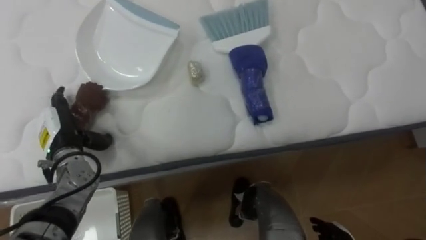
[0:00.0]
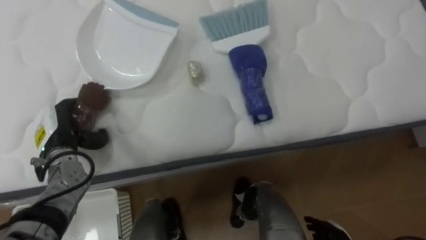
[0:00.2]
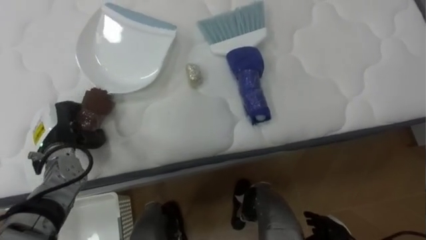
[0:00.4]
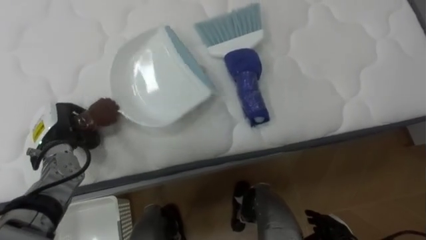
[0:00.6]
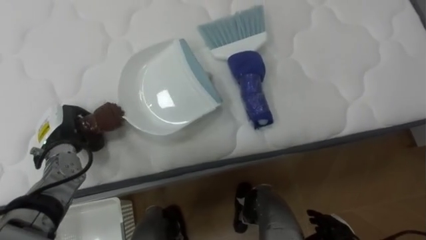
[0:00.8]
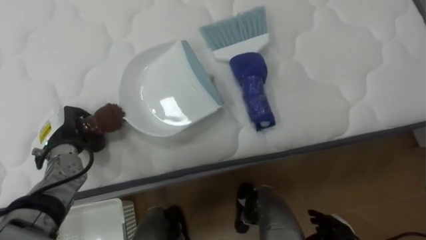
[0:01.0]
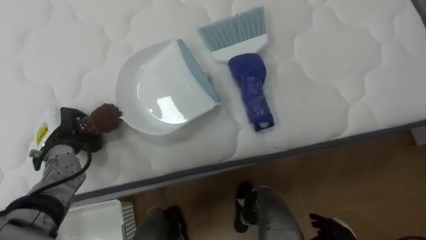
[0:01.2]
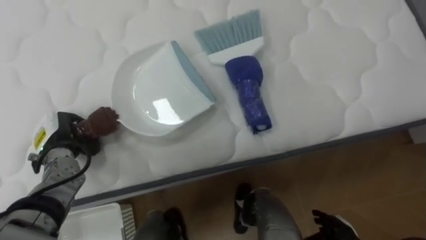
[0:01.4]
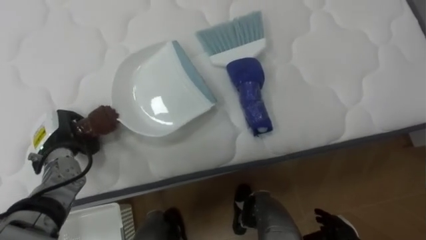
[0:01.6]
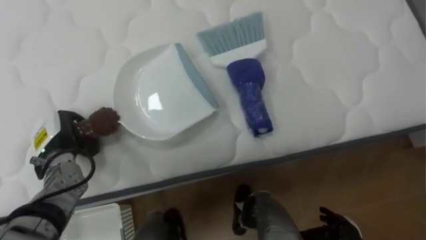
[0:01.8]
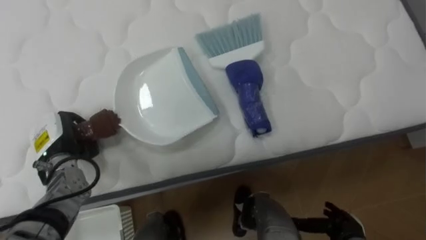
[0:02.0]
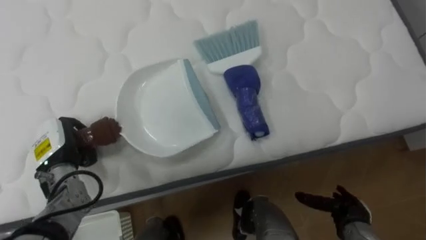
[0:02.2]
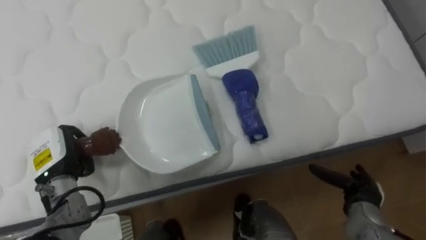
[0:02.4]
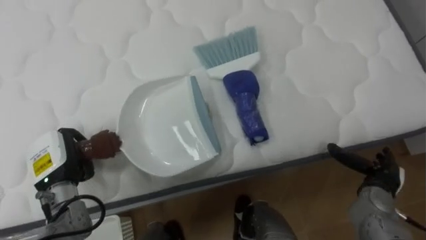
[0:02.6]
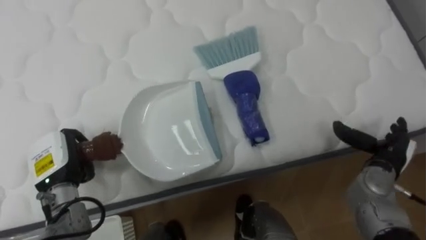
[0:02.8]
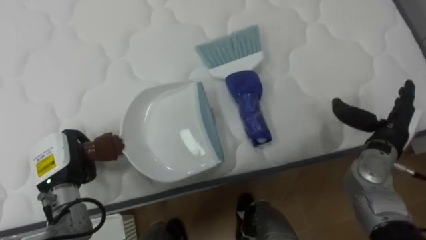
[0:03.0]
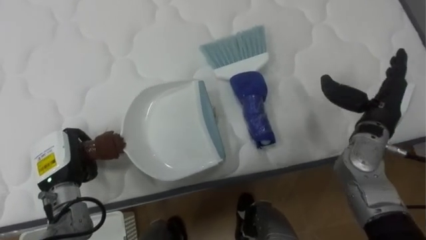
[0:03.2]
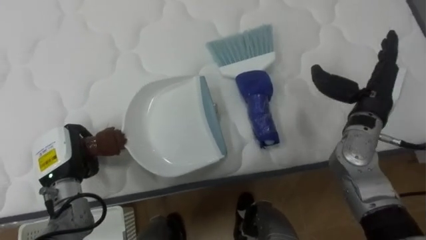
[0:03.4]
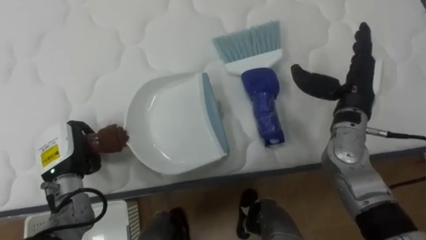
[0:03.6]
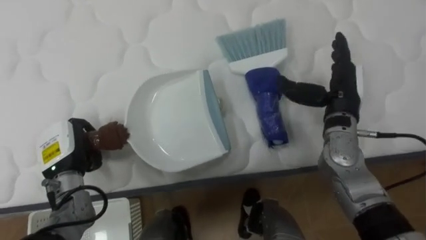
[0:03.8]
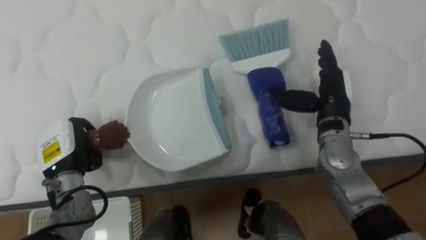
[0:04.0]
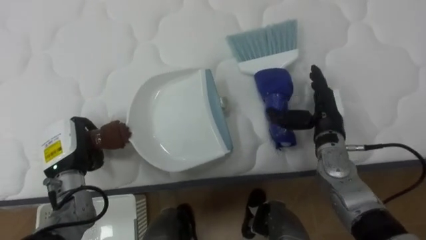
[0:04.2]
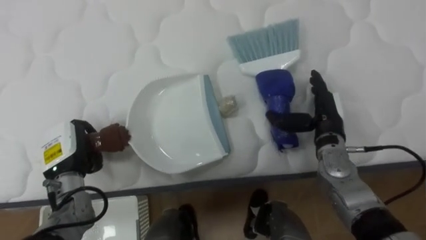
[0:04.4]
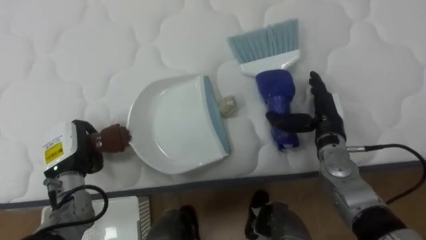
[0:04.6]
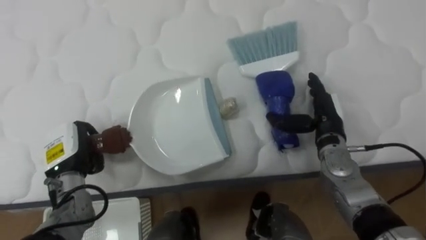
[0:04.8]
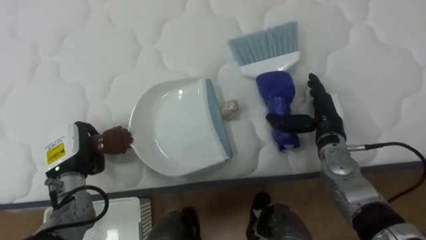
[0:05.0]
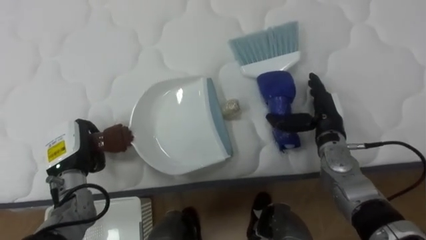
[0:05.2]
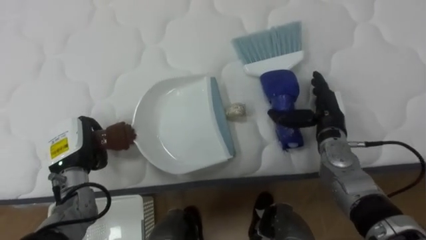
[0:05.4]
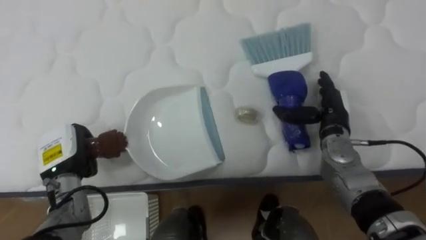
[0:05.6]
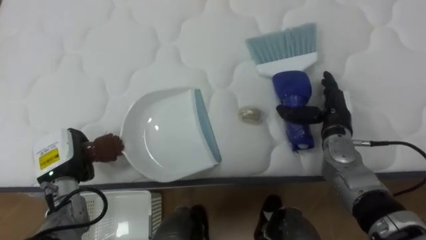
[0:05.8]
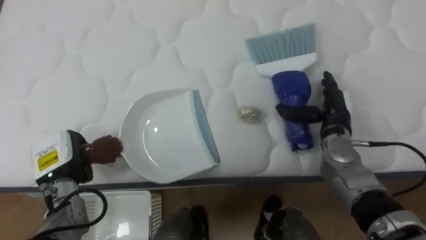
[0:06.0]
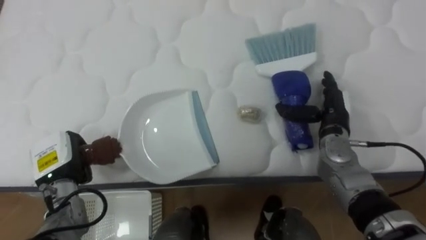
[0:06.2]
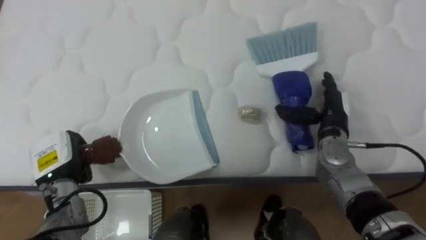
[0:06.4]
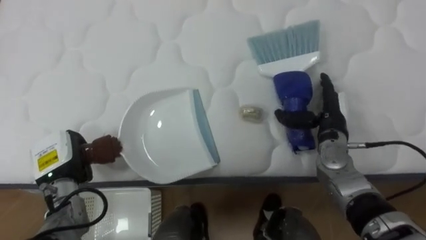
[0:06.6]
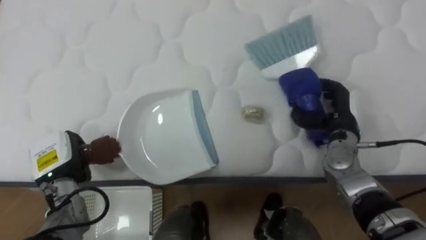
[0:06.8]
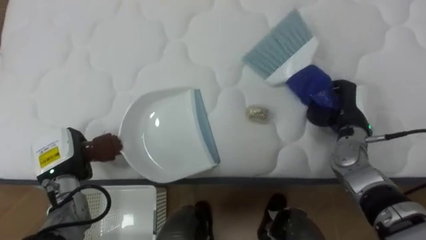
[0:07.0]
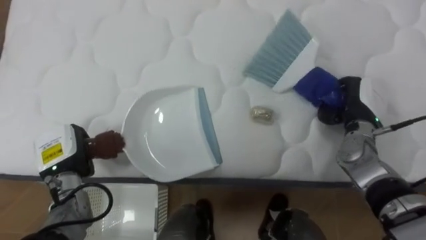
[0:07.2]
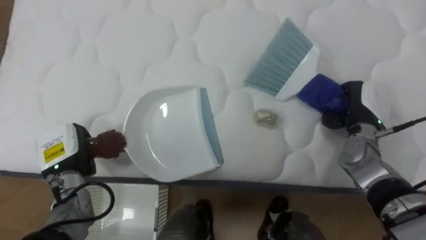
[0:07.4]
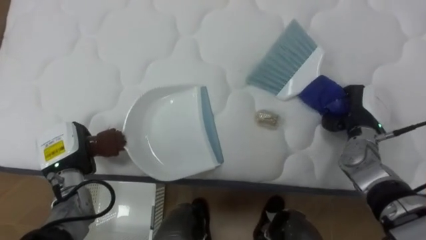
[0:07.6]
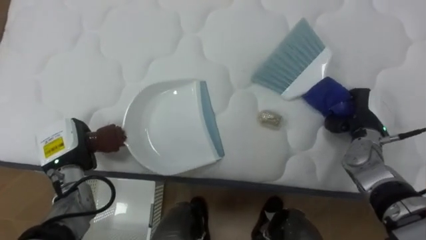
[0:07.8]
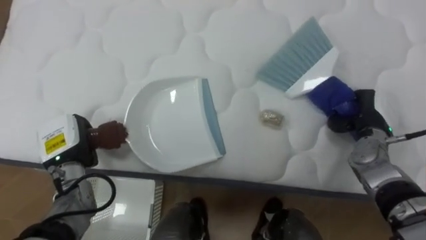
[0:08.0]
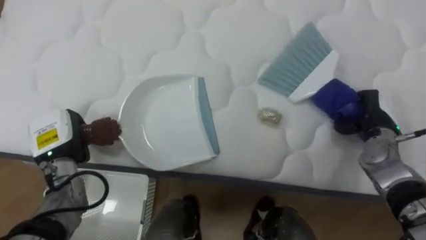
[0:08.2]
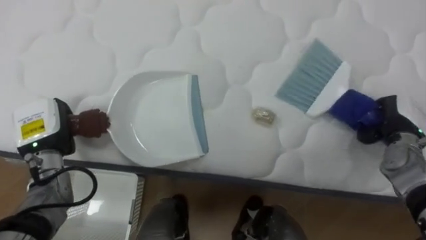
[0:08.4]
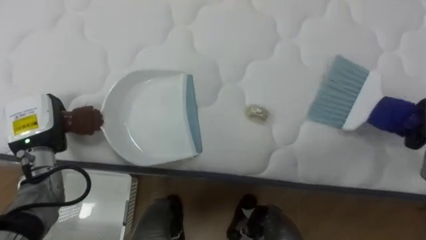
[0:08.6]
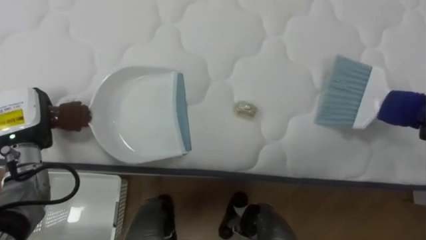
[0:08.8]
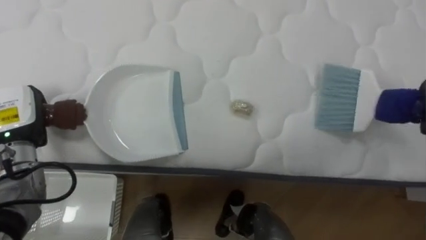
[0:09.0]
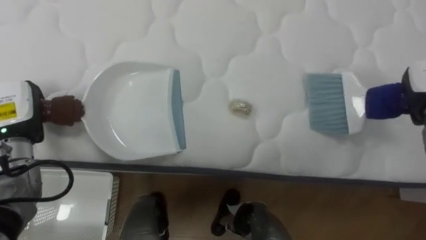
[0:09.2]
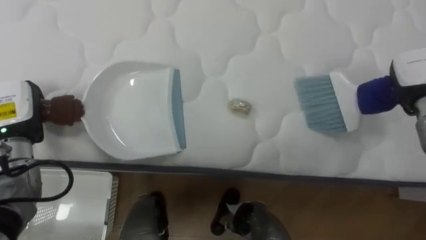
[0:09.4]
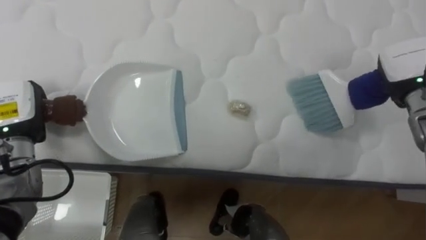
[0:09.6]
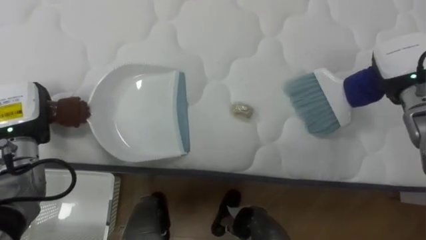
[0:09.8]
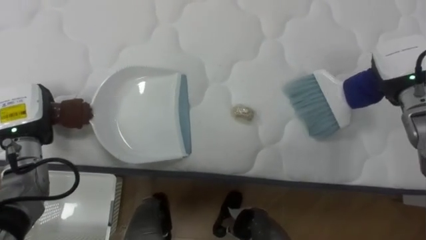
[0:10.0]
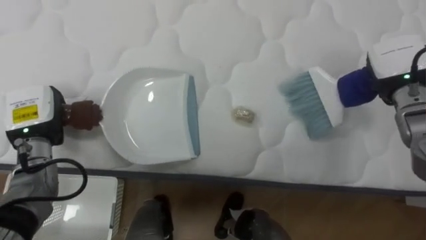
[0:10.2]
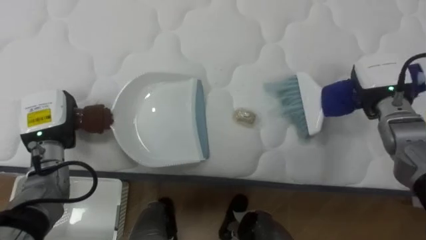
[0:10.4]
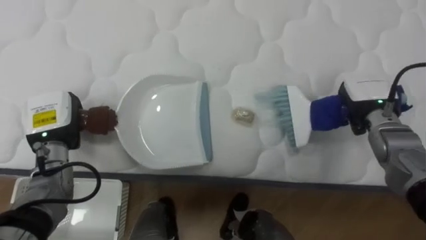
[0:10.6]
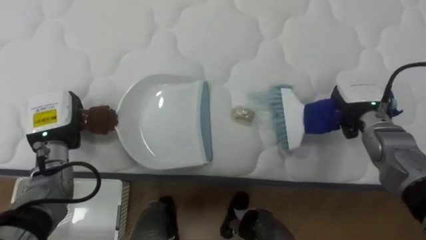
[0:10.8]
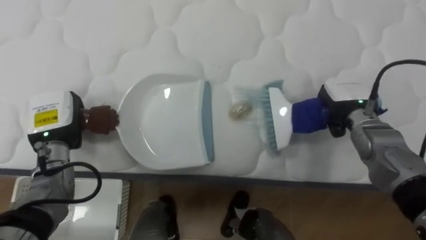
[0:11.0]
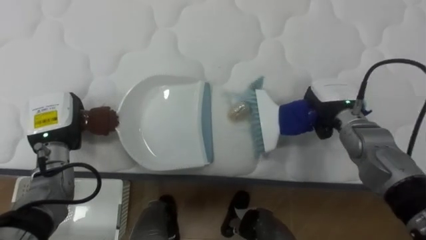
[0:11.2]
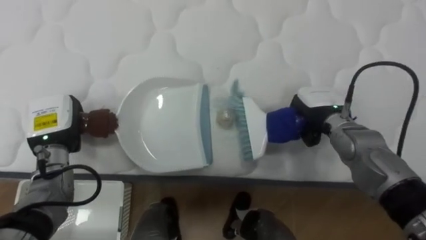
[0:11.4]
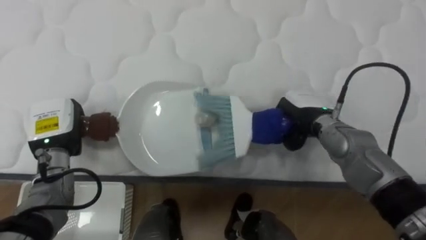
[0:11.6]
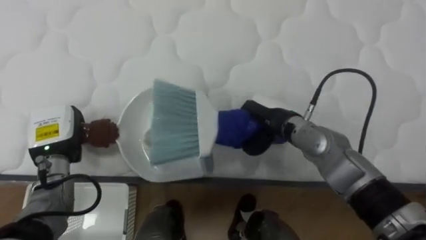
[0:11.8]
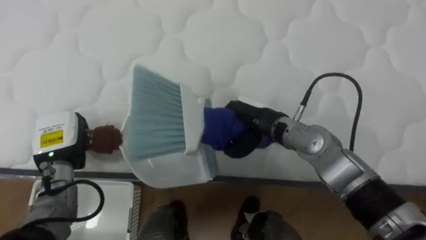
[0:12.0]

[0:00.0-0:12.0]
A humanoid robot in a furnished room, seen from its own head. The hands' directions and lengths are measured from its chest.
Task of the whole recording: Pick up the brush on your right and the dustpan on your left. Use the brush to sweep the crumpled paper on the bed into the dustpan, then turn left and empty it into the basket.
0:00.0 to 0:01.6: The left hand closes its fingers.
0:01.6 to 0:03.0: The left hand goes roughly 5 cm backward.
0:03.0 to 0:04.4: The right hand is displaced to the left by some 10 cm.
0:06.0 to 0:07.6: The right hand goes some 5 cm to the right, and closes.
0:07.6 to 0:09.0: The left hand shifts roughly 10 cm upward and to the left.
0:10.4 to 0:12.0: The right hand travels to the left by approximately 25 cm.

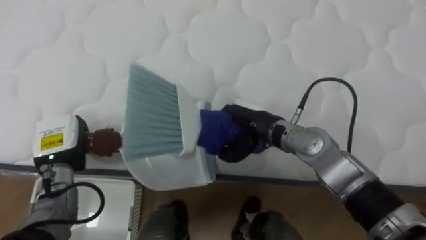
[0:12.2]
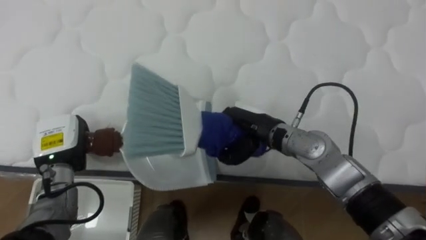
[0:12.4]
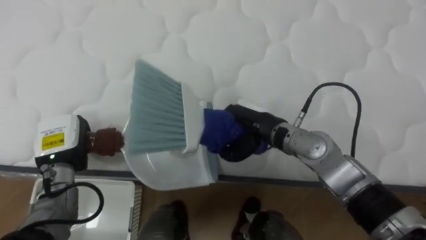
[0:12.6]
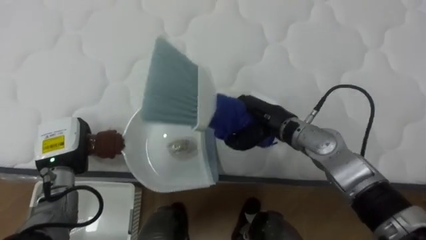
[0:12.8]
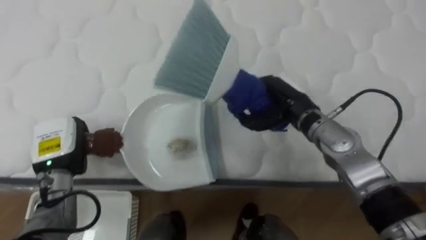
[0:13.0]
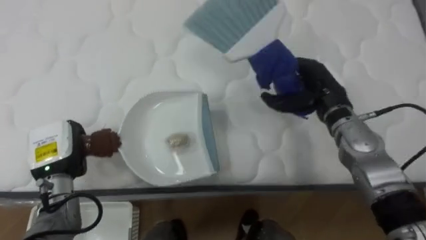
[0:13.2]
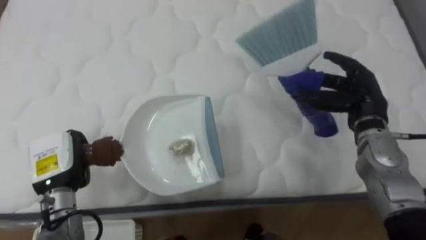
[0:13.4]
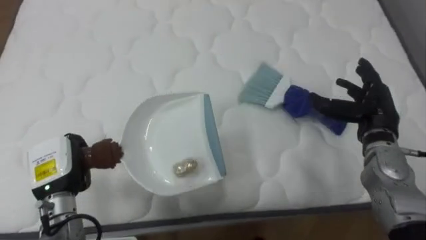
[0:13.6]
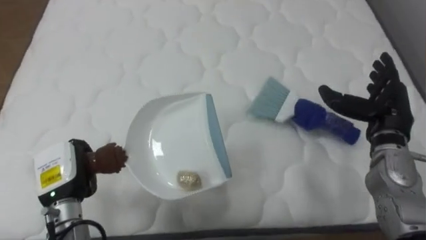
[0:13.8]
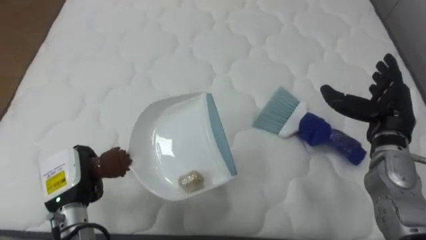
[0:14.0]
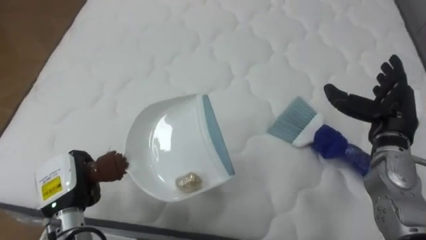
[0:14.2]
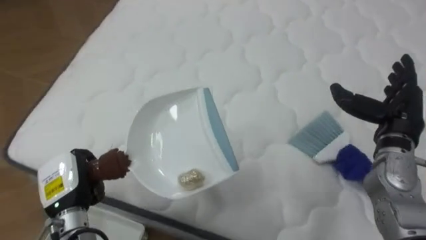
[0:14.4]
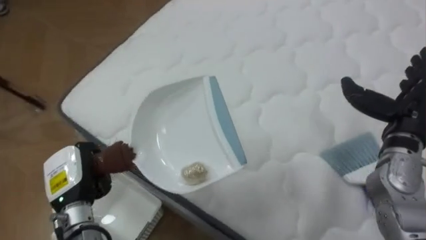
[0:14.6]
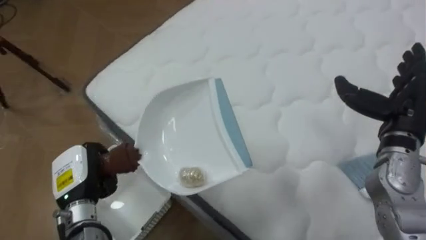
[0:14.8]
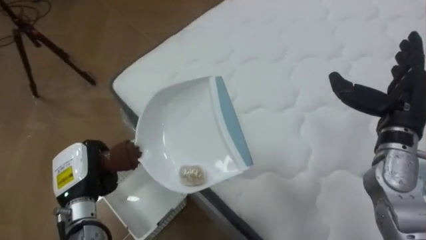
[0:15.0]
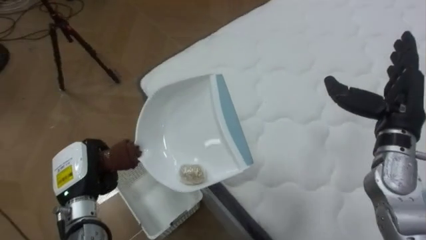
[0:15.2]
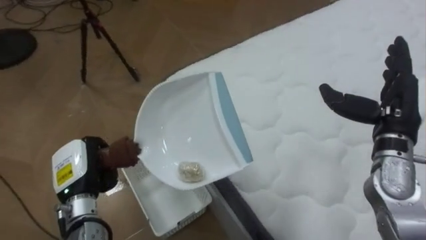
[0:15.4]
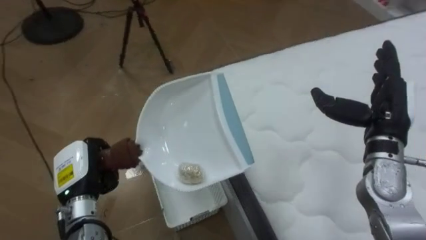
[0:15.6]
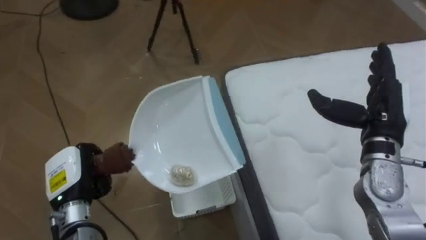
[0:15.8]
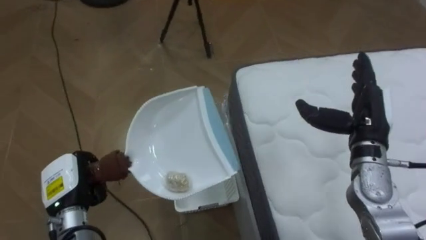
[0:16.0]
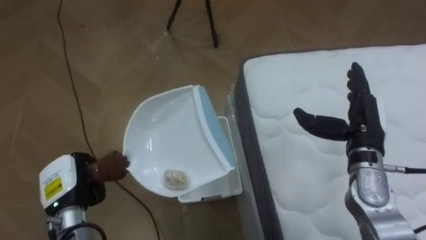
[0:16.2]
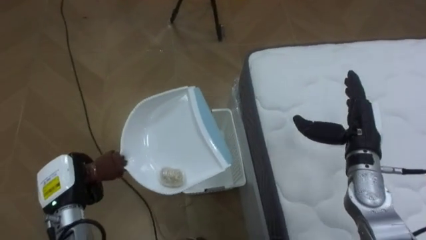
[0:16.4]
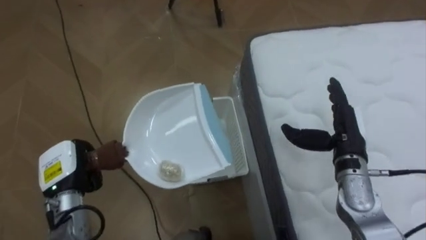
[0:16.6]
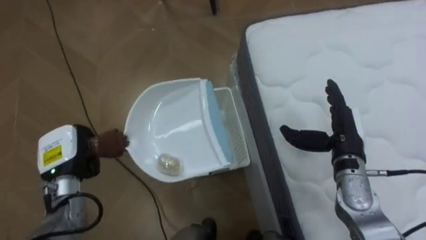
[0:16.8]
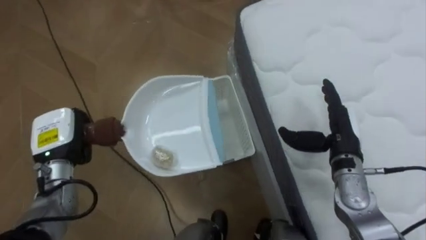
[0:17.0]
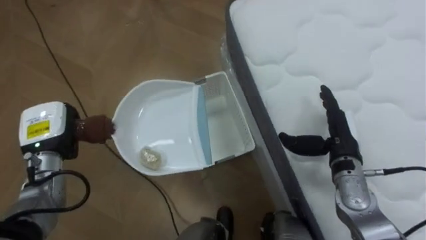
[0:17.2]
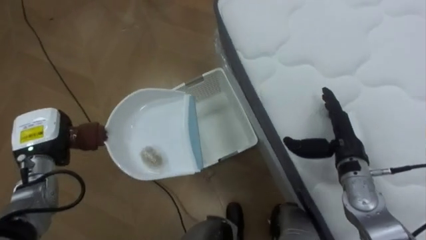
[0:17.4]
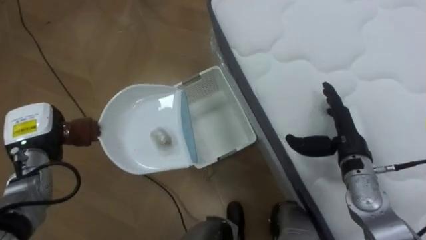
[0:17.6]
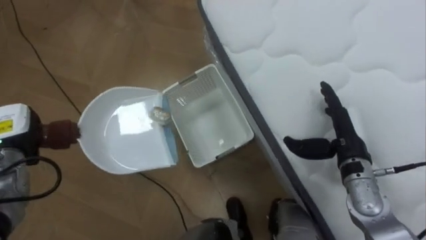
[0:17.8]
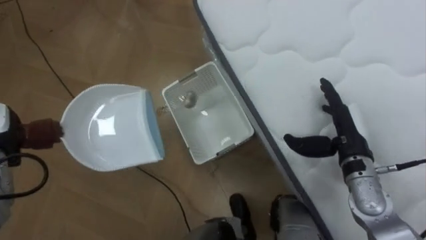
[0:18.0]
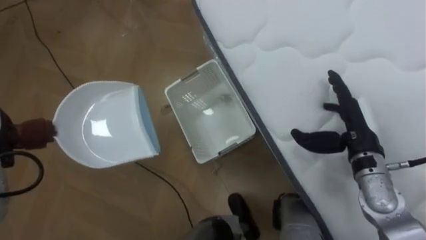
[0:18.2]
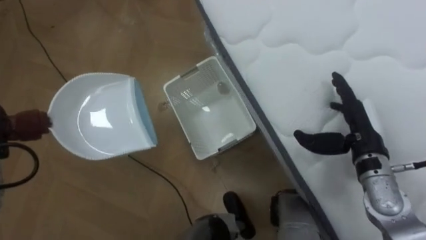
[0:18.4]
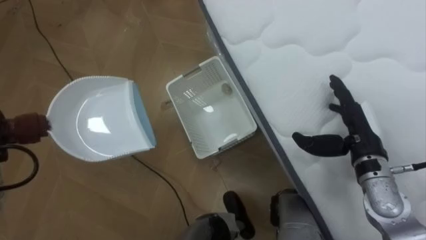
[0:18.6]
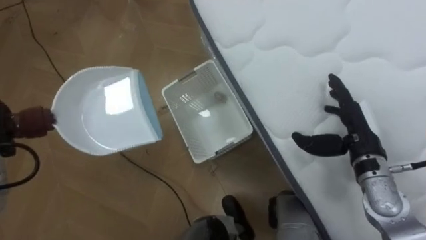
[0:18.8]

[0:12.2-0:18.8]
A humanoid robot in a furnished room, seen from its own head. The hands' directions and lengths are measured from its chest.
Task of the whole recording: Pick up the brush on your right and the dustpan on your left. Use the brush to sweep the crumpled paper on the bed into the dustpan, then turn left and empty it into the basket.
0:12.2 to 0:13.8: The left hand travels backward by roughly 5 cm. Meanwhile the right hand moves to the right, approximately 25 cm, and opens.
0:13.8 to 0:15.4: The robot's body swings roughly 60 degrees to its left.
0:15.4 to 0:17.2: The robot turns to its left by approximately 20 degrees. The left hand heads forward and to the left, covering approximately 10 cm; the right hand heads downward and to the left, covering some 10 cm.
